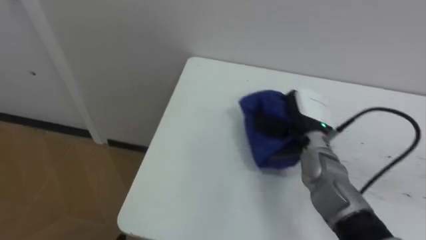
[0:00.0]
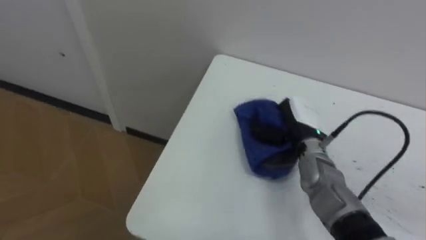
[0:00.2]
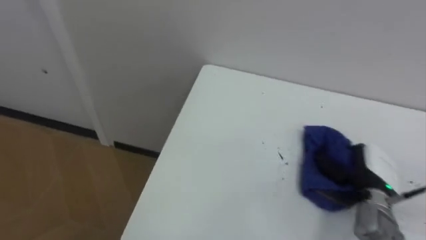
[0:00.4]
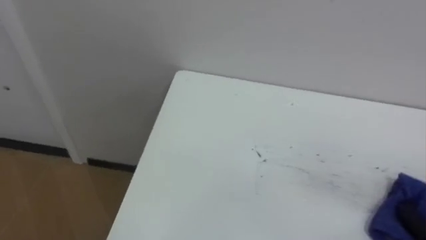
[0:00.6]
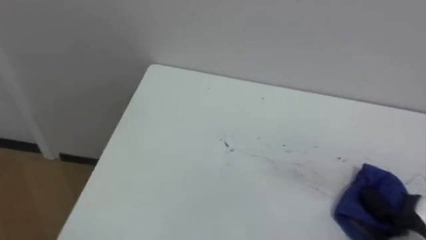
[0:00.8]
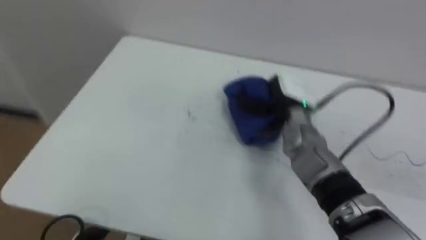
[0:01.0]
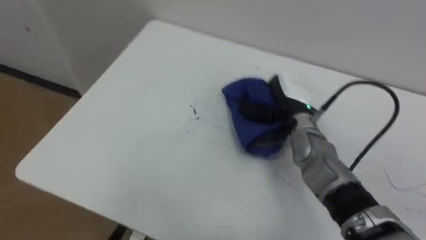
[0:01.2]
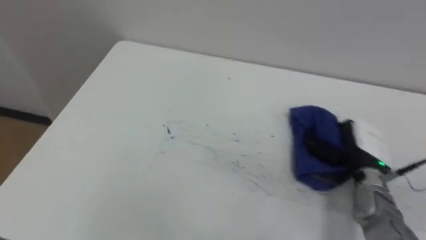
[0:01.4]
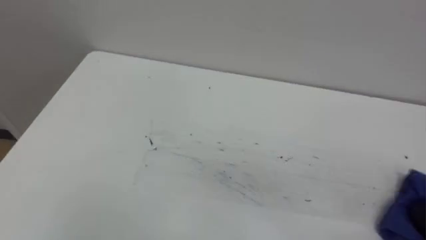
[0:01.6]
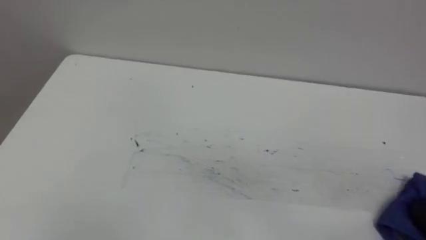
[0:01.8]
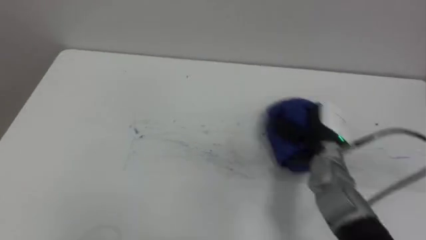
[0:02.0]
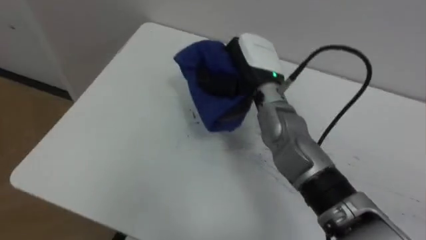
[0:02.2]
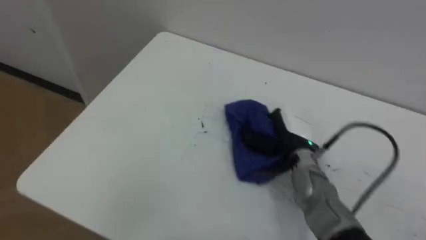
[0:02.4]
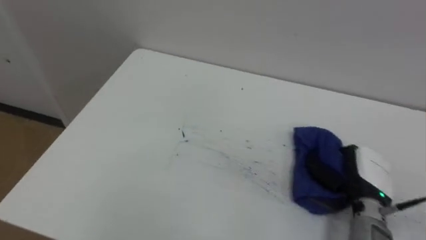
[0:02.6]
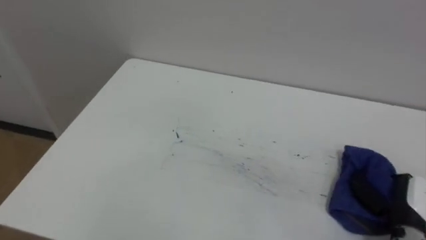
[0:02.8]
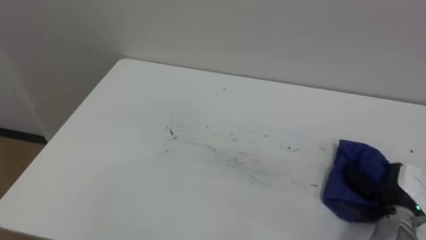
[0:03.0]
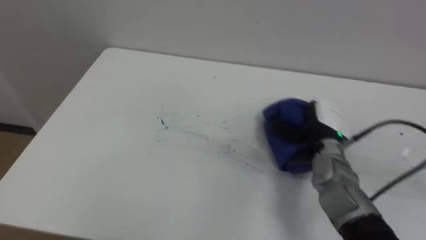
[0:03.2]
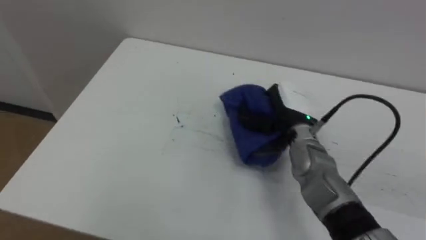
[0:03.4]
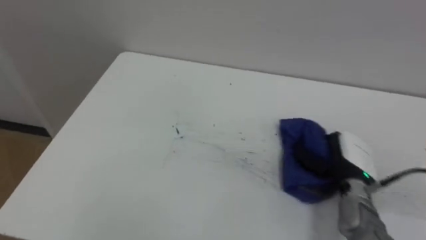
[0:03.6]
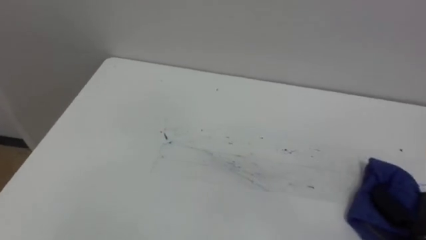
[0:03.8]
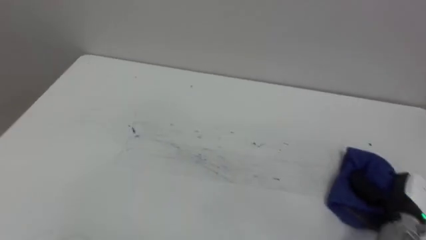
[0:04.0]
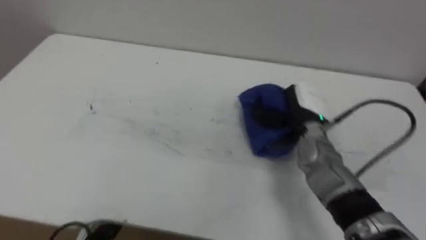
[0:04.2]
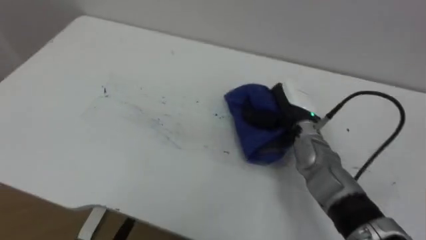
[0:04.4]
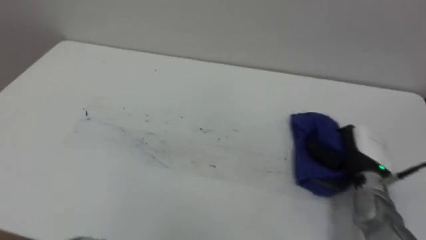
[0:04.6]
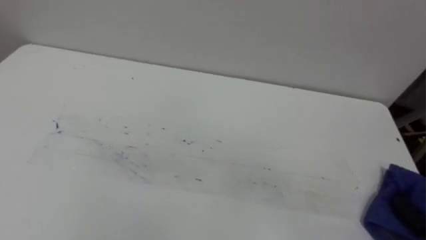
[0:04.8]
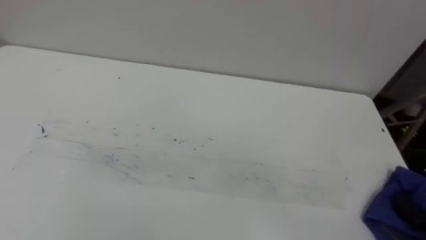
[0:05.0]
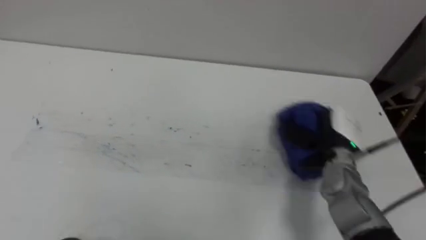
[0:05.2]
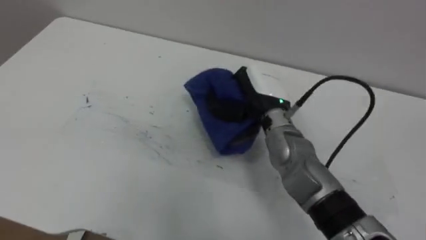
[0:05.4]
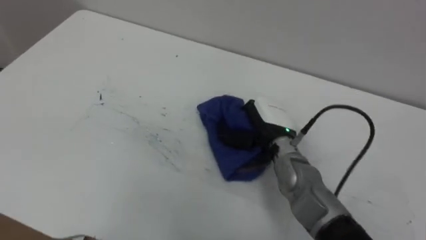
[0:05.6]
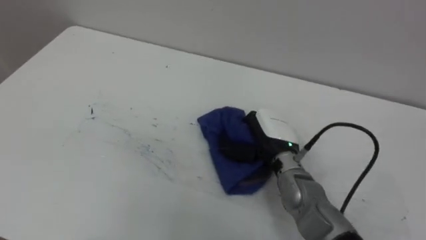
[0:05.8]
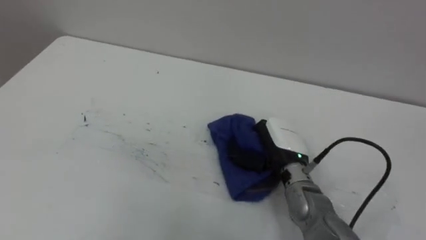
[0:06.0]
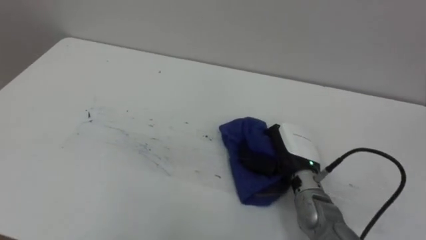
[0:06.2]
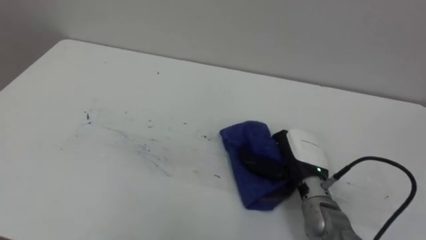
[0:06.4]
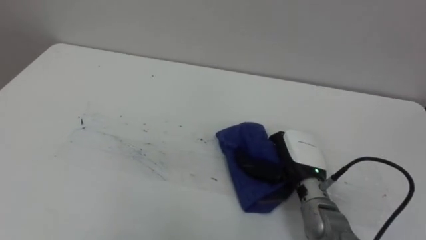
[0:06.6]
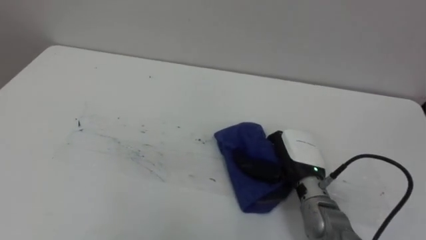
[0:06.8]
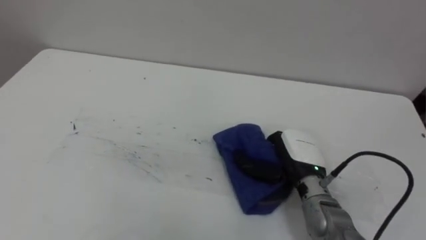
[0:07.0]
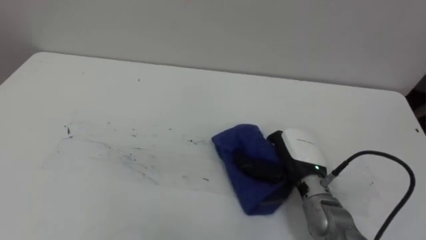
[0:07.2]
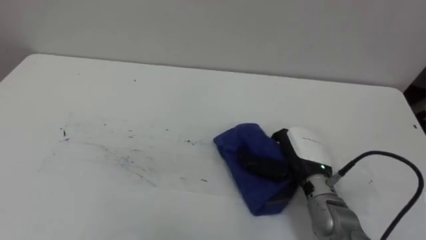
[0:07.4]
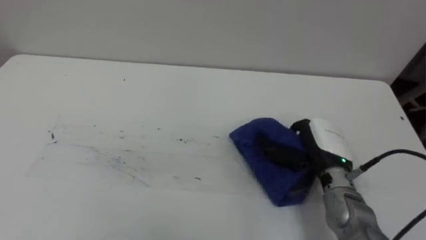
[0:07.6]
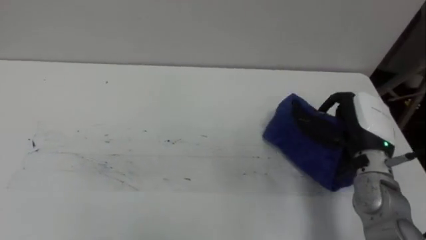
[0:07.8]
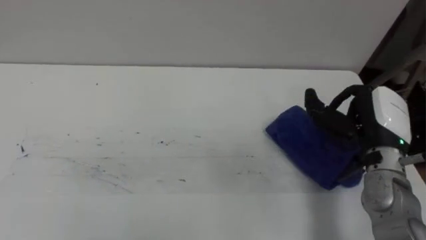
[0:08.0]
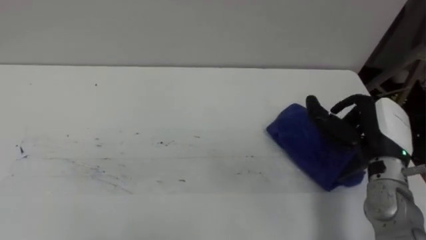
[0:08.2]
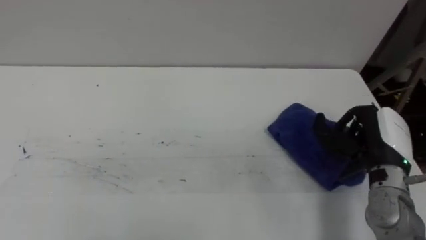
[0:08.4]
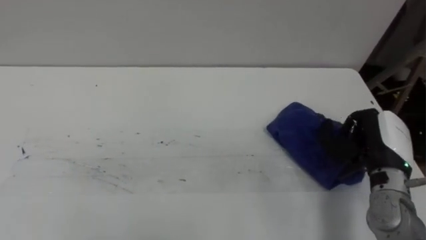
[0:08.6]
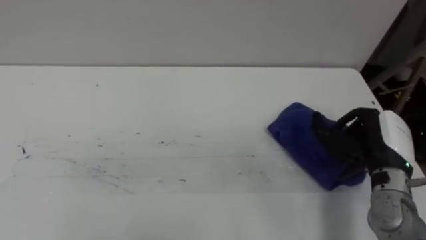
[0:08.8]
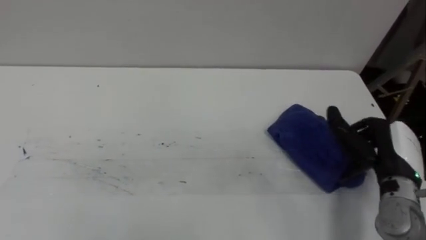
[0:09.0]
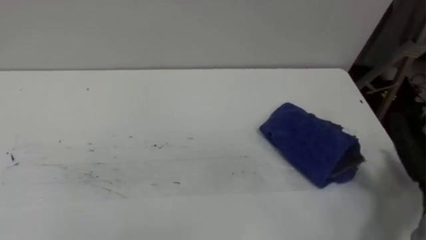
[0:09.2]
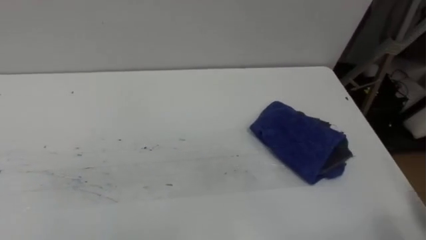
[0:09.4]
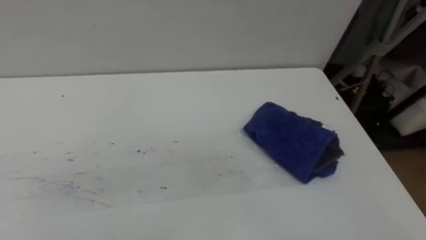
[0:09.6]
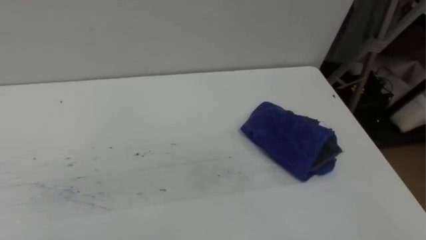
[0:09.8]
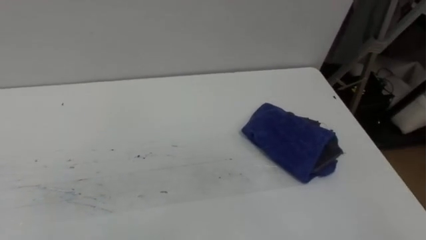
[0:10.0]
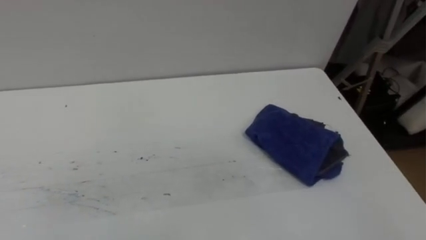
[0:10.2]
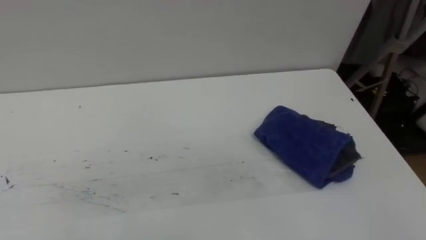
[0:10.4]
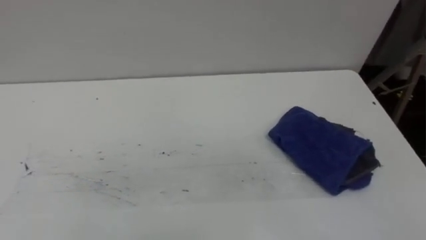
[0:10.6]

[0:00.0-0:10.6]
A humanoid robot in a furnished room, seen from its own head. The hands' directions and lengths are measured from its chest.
Task of the whole recording: Wipe the blue pen marks off the table with the rag.
0:03.0 to 0:04.6: The right hand swings left and right, approximately 25 cm each way, with 3 reversals.
0:06.0 to 0:07.6: The right hand shifts roughly 5 cm to the right.
0:07.6 to 0:09.0: The right hand shifts approximately 10 cm to the right, and opens up.

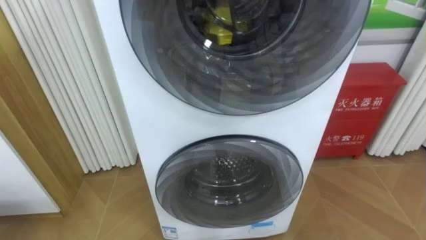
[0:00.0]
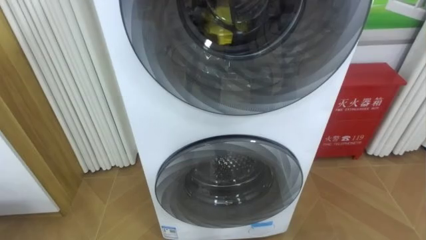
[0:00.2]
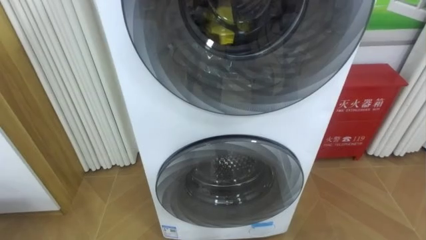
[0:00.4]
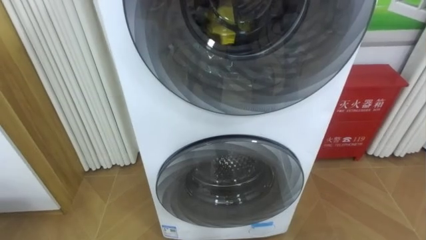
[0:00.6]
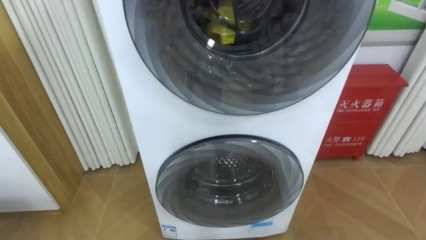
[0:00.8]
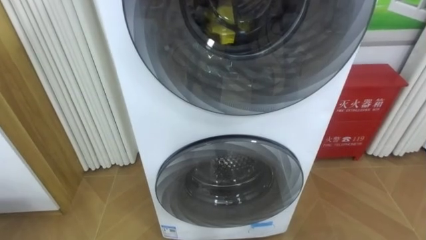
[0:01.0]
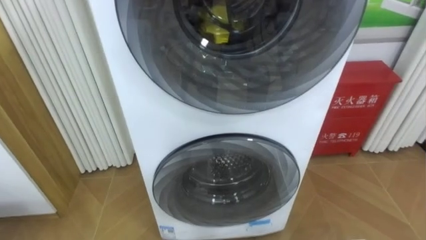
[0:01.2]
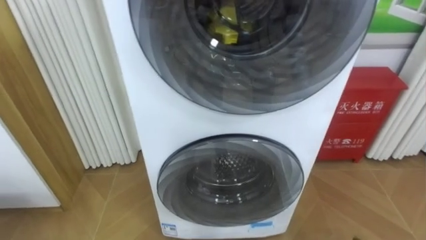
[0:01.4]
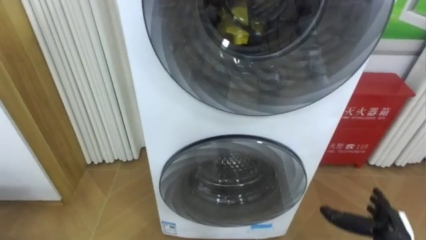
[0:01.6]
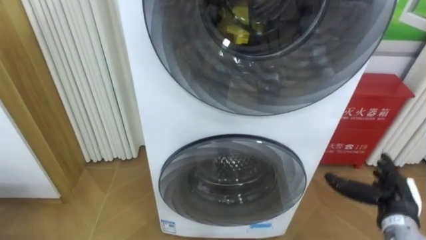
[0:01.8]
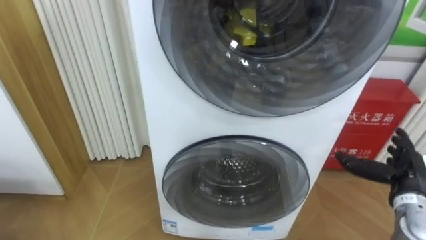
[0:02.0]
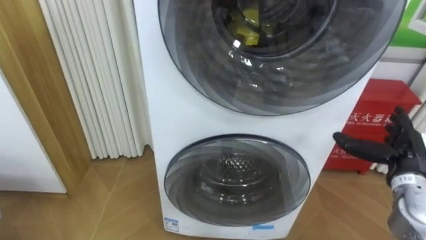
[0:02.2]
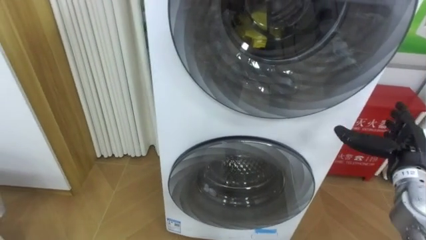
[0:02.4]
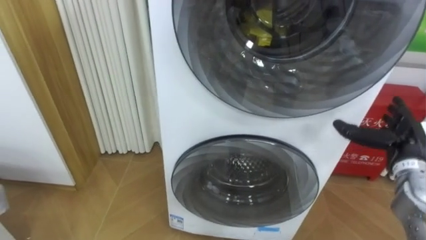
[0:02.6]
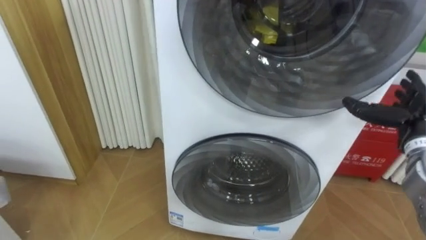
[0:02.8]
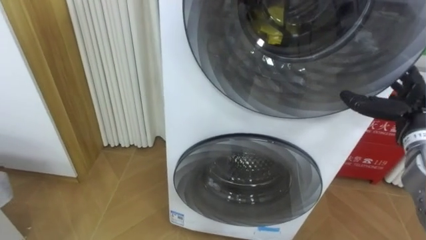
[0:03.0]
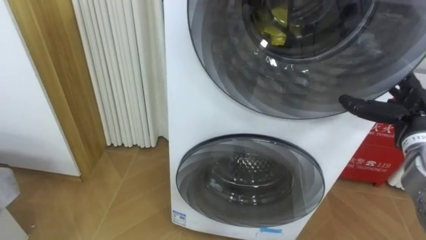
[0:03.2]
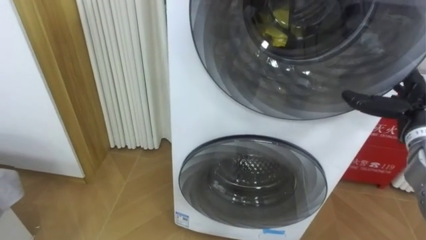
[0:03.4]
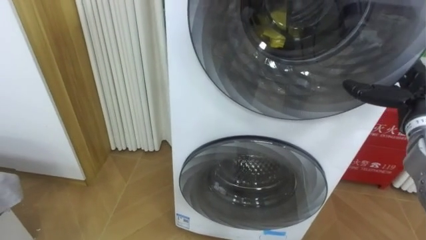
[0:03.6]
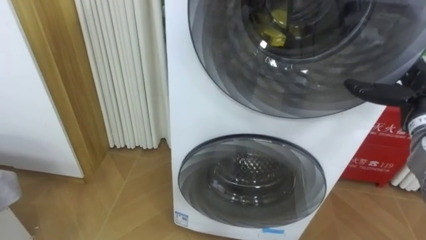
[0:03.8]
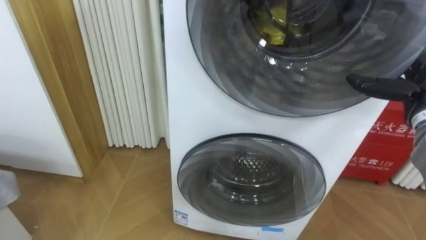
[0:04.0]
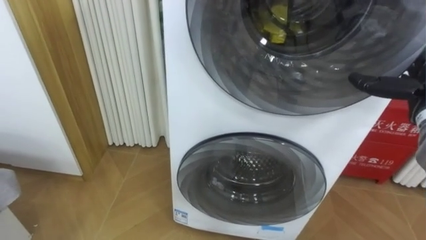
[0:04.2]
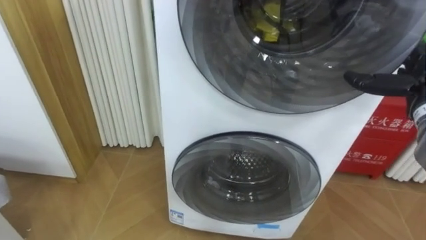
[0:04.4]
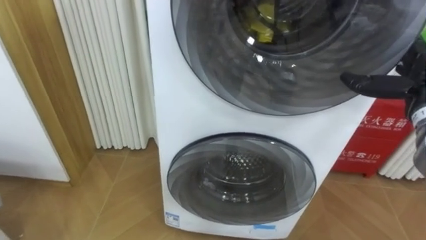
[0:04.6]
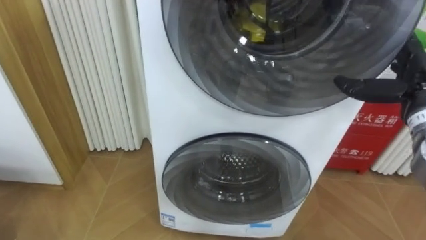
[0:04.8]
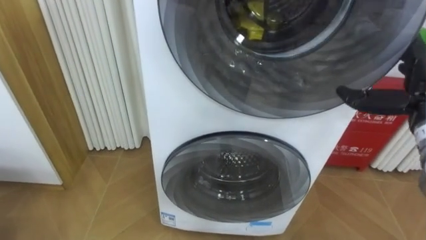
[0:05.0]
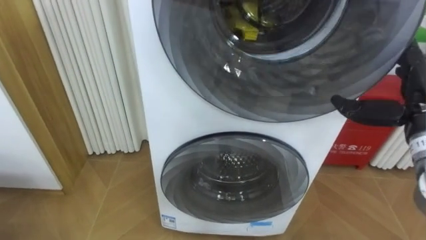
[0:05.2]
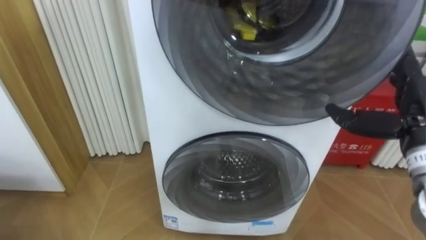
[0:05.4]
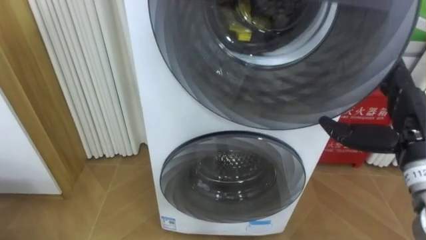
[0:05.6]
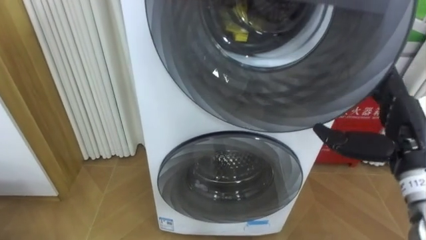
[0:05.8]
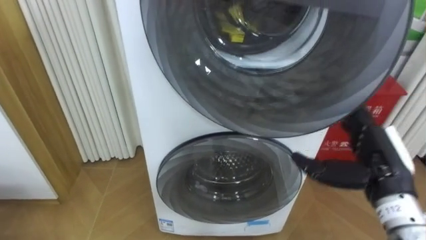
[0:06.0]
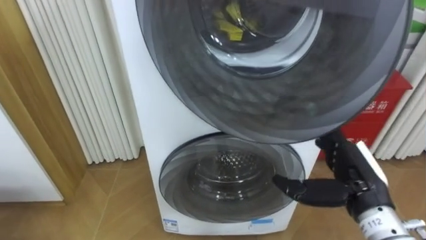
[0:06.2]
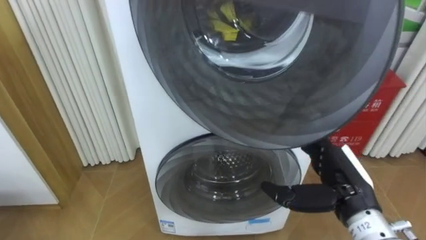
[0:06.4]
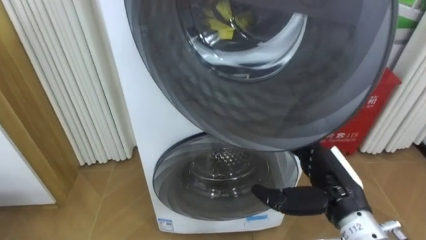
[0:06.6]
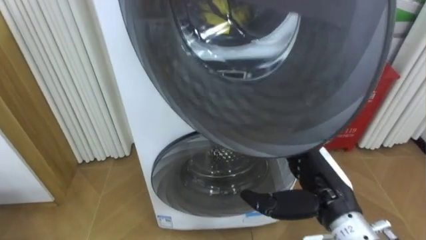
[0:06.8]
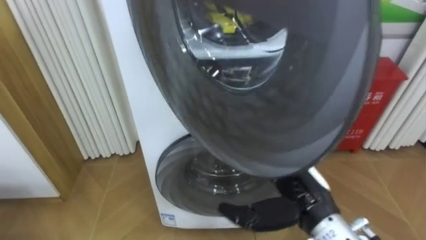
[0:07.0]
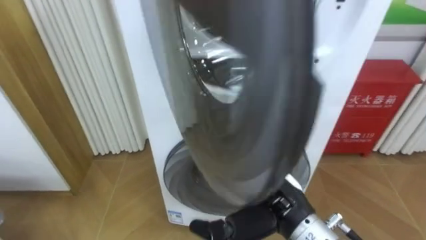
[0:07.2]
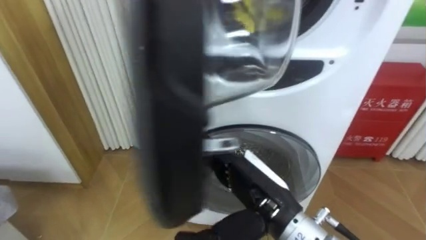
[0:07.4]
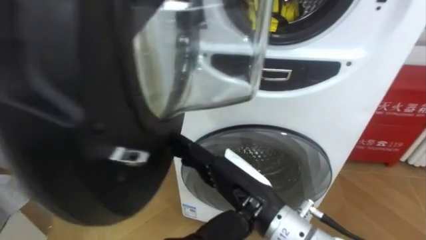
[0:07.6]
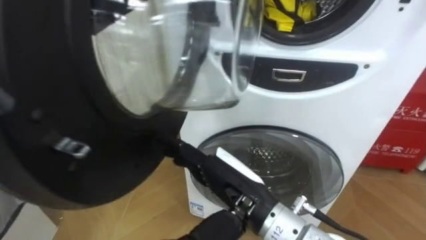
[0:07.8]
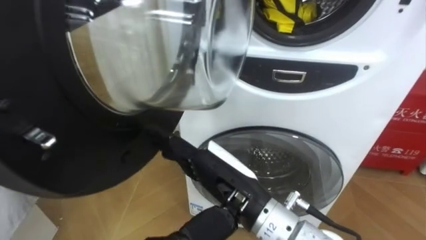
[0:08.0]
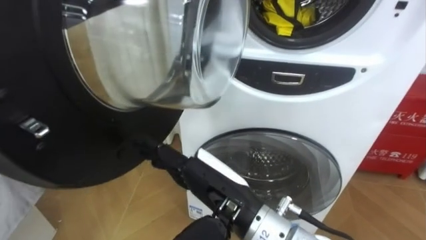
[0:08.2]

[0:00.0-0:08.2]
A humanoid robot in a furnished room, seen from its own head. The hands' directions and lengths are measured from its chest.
Task of the whole recording: Open the washing machine door, take out the yellow clothes, place them in the box on the right, and close the washing machine door.
0:03.2 to 0:05.0: The right hand is displaced upward by about 5 cm.
0:05.0 to 0:06.6: The right hand heads to the left, downward and backward, covering approximately 20 cm.
0:06.6 to 0:08.2: The right hand goes some 20 cm to the left.
